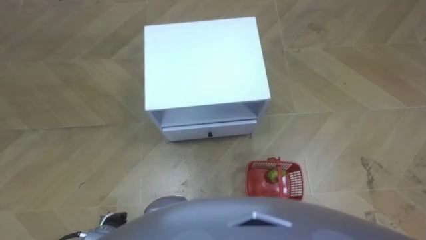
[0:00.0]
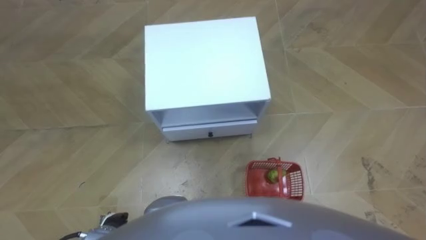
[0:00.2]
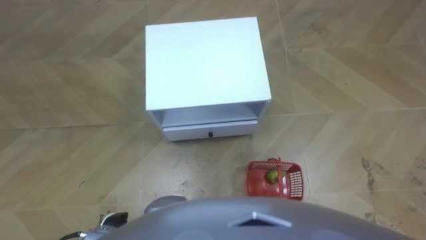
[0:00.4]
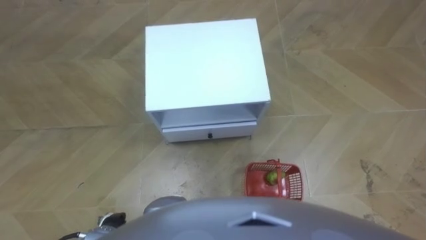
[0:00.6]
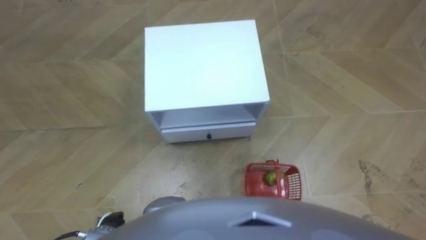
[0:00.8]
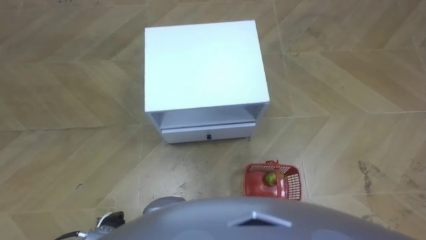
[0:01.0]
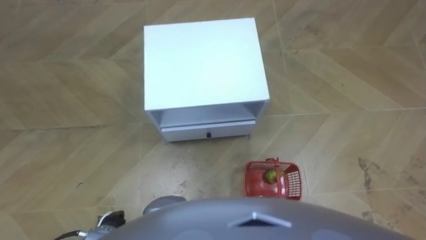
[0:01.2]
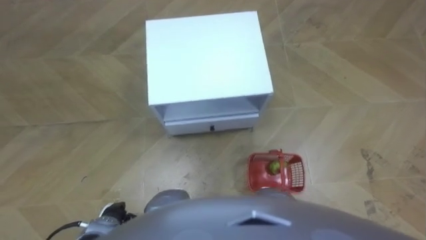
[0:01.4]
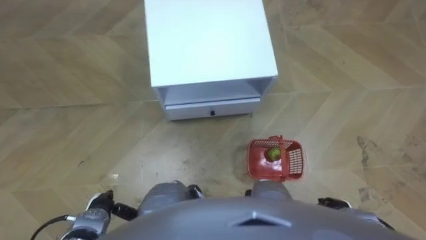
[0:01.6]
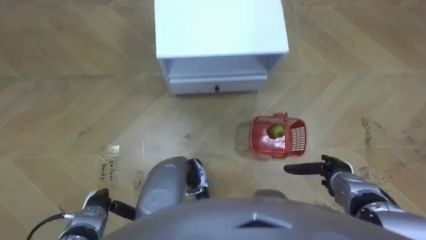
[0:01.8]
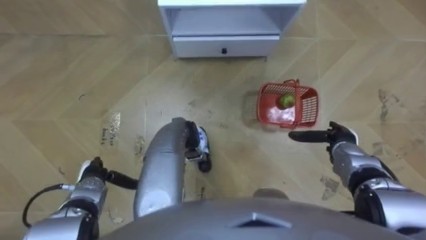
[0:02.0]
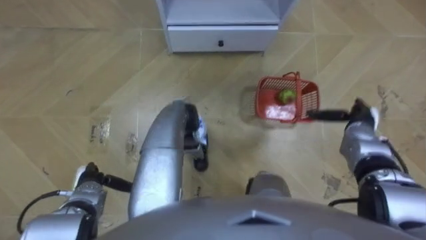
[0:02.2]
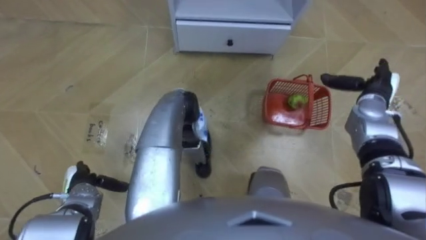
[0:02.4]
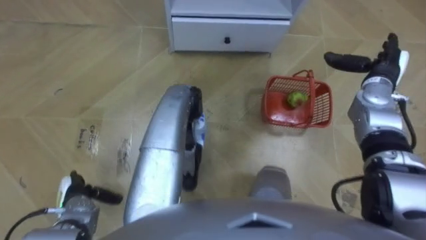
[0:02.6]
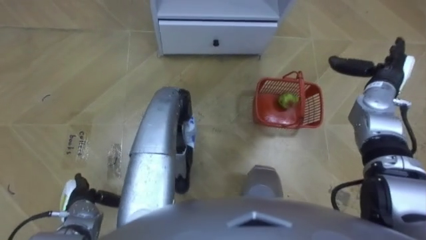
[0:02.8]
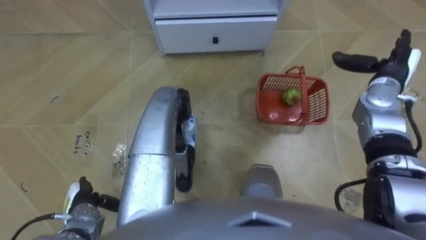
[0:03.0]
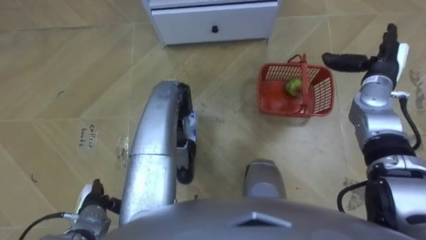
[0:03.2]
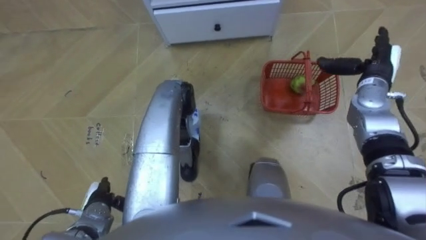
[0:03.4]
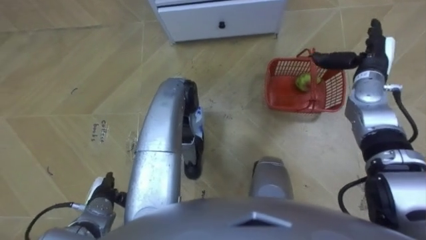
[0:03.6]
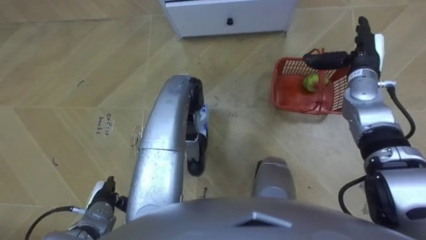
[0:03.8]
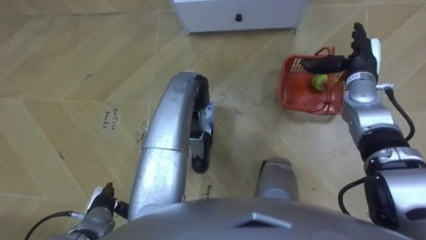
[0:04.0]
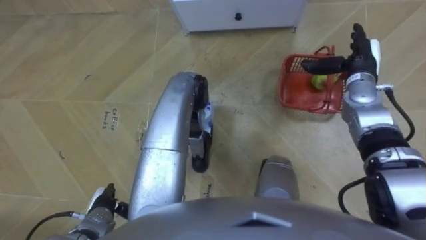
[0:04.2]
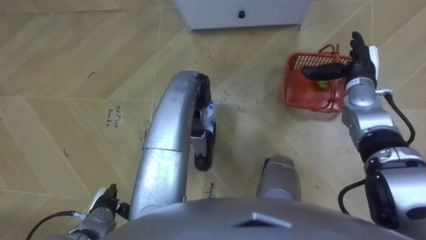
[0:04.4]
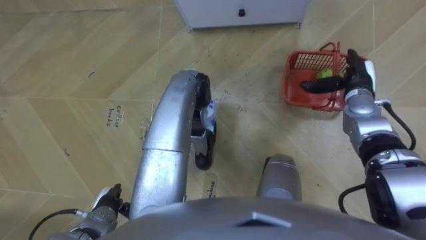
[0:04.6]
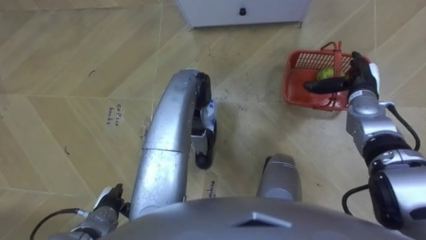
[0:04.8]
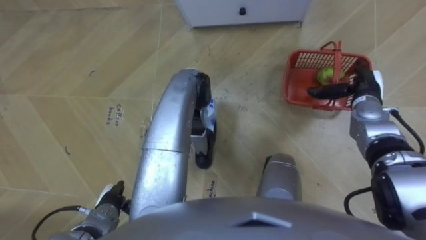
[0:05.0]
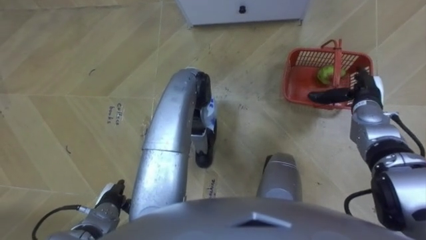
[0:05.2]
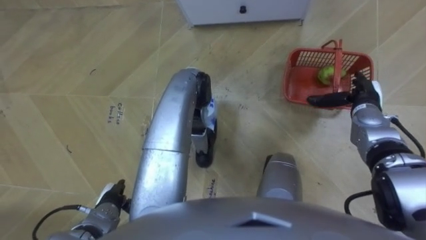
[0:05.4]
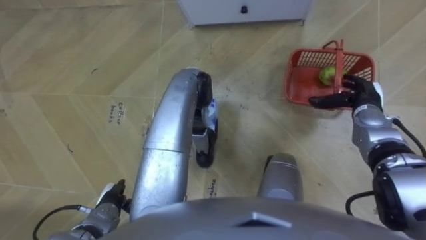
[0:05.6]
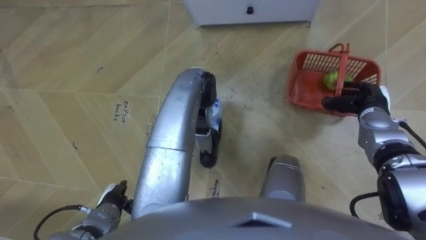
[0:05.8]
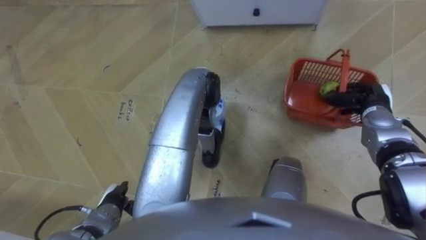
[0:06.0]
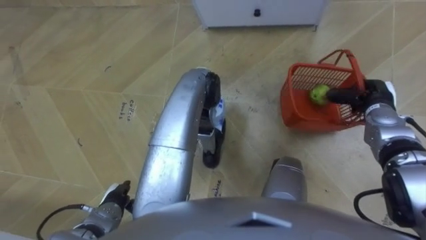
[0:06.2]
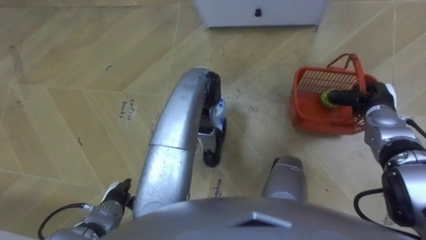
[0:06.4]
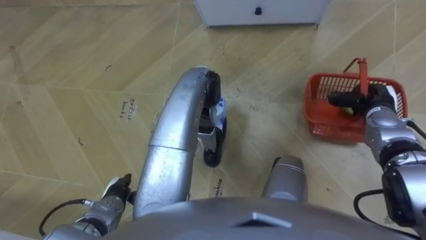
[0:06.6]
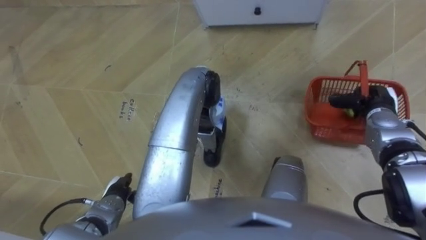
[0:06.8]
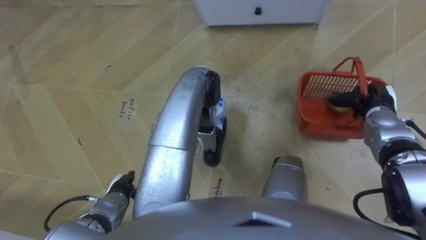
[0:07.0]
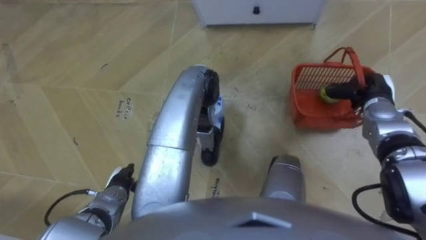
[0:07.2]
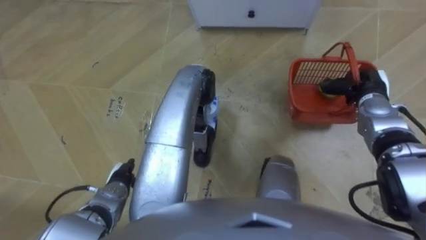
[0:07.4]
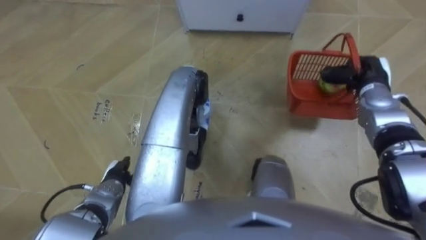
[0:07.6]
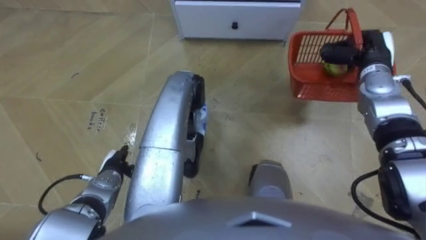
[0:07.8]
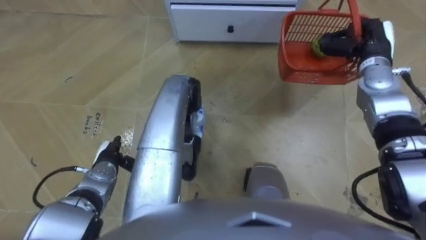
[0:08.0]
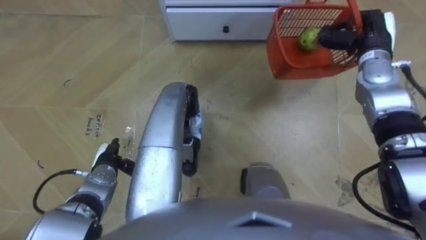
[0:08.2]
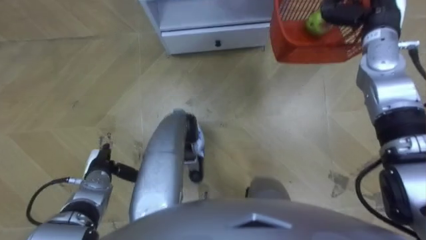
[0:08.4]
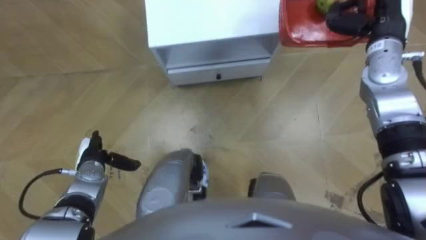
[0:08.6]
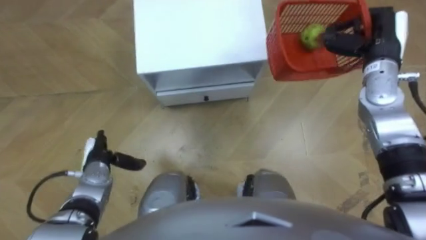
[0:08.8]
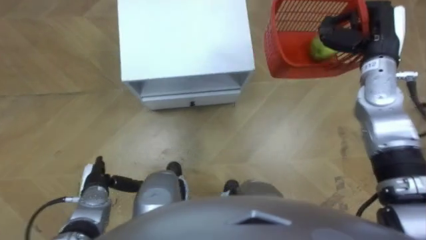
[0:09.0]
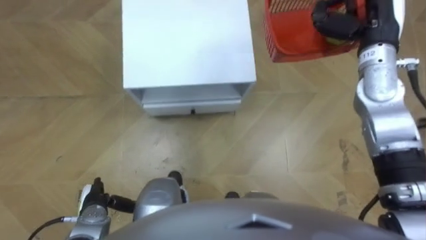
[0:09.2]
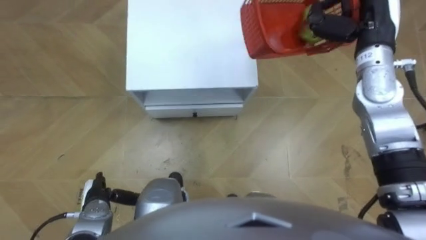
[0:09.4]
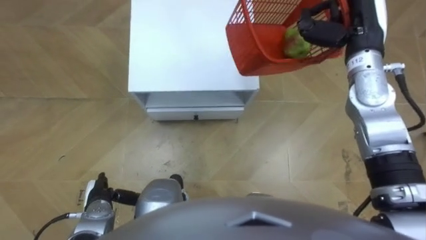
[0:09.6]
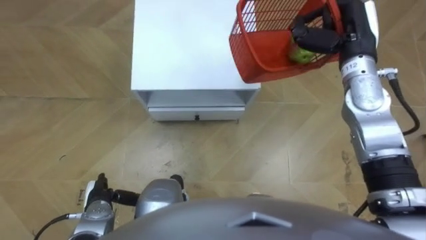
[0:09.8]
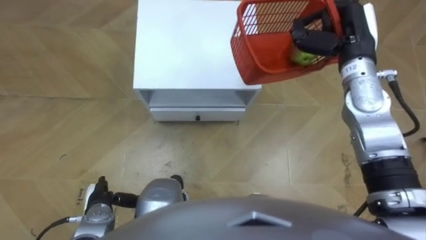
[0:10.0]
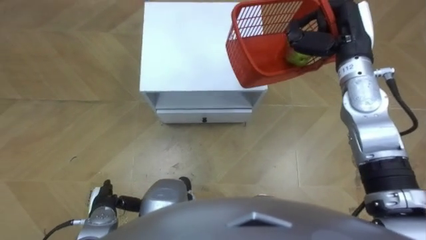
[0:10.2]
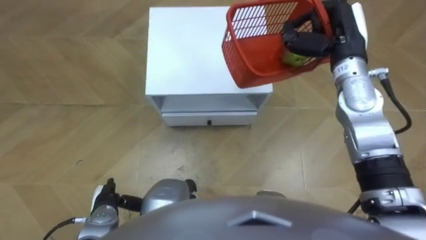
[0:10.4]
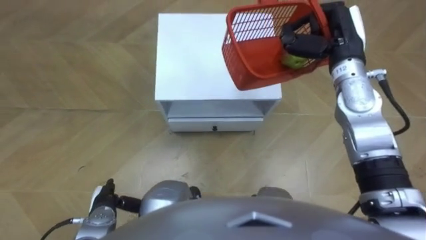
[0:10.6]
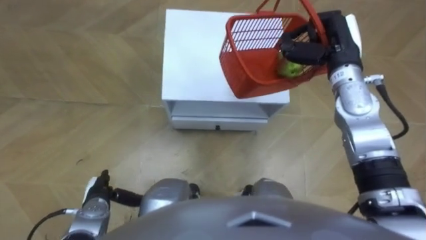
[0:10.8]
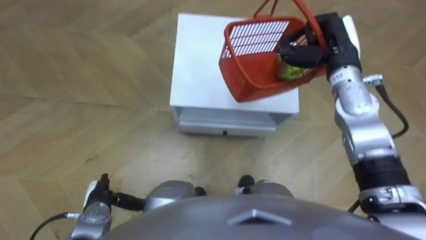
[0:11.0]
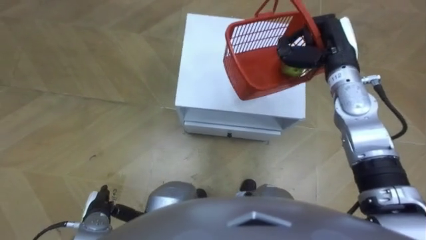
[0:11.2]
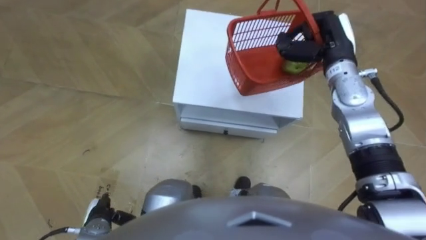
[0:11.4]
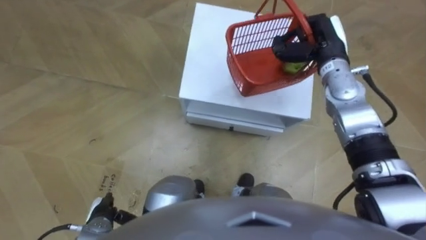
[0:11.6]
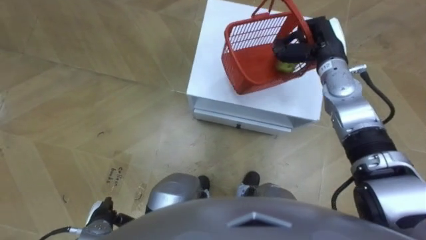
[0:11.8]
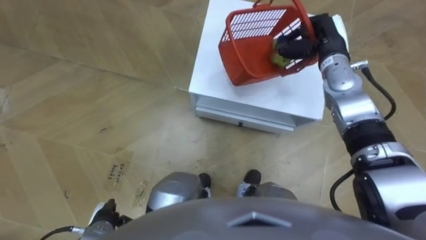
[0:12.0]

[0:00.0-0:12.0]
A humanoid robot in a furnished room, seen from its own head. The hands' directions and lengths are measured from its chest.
Task of the whole recording: Pick up the fruit basket from the floor and place it on the cabinet.
0:01.6 to 0:03.0: The right hand goes some 30 cm forward and upward.
0:03.0 to 0:04.4: The right hand changes place by about 5 cm.
0:04.4 to 0:06.0: The right hand moves backward, some 5 cm, and closes.
0:06.0 to 0:07.6: The right hand changes place by approximately 5 cm, while the left hand heads forward, covering some 5 cm.
0:07.6 to 0:09.0: The right hand shifts roughly 10 cm upward.
0:09.0 to 0:10.4: The right hand shifts some 5 cm to the left. Meanwhile the left hand heads backward, covering some 5 cm.
0:10.4 to 0:12.0: The right hand travels downward by approximately 5 cm.

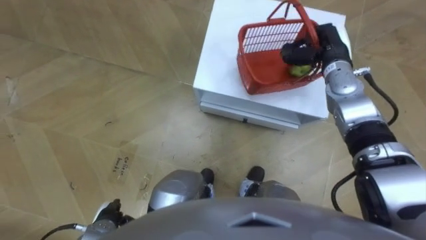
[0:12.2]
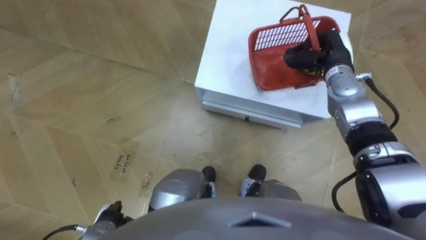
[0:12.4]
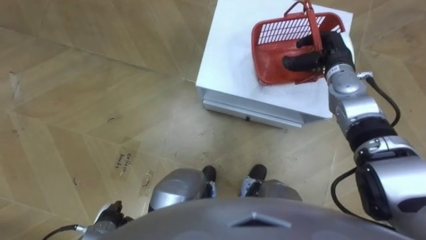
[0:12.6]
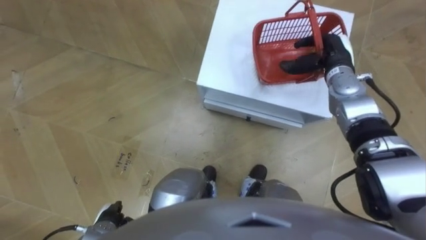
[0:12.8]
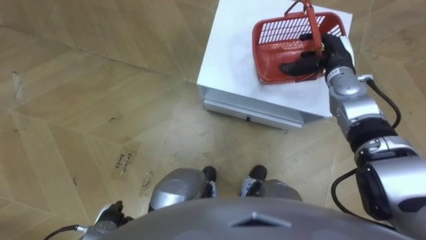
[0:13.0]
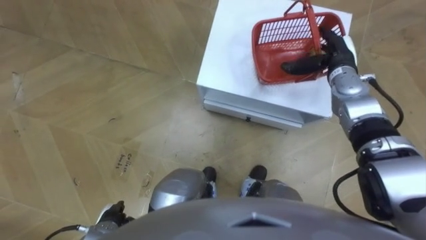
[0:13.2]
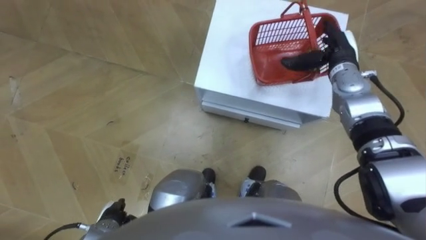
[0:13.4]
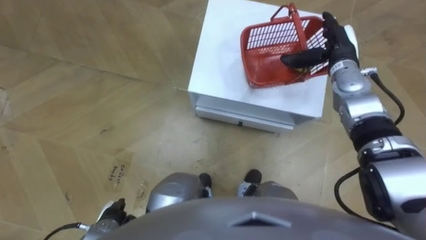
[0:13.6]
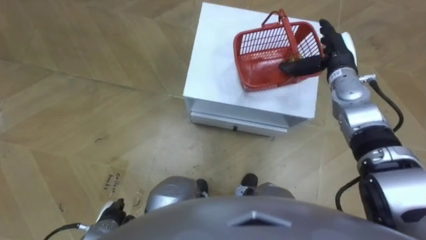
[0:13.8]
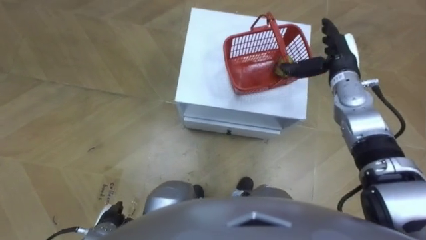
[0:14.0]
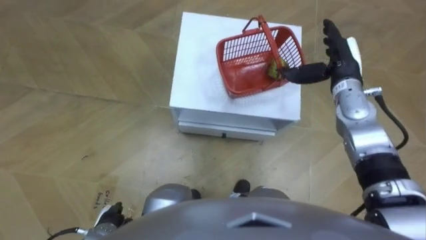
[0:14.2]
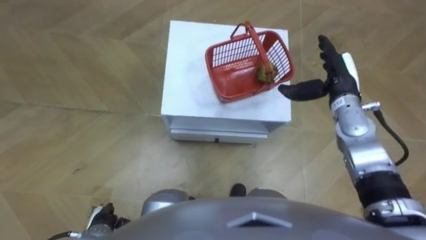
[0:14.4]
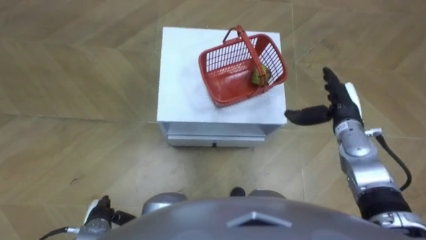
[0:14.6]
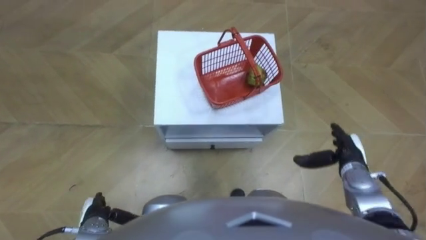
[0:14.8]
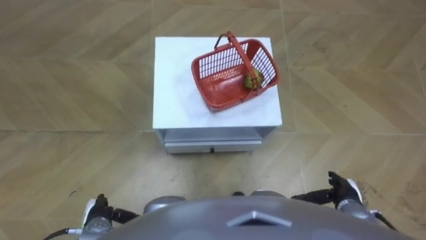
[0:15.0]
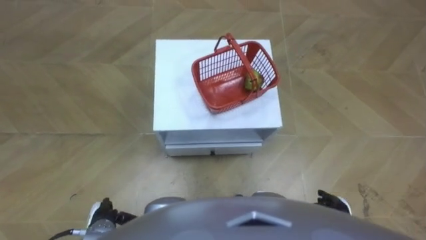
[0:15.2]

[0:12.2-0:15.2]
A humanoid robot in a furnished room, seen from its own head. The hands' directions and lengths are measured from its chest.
Task of the whole recording: Pick up the fruit basket from the floor and place it on the cabinet.
0:12.2 to 0:13.8: The right hand opens its fingers.
0:13.8 to 0:15.2: The right hand travels backward and downward by some 35 cm.
